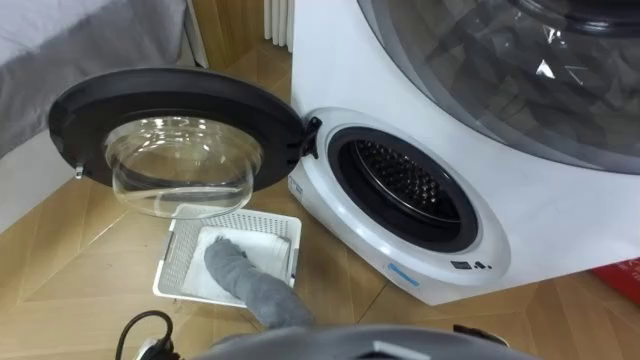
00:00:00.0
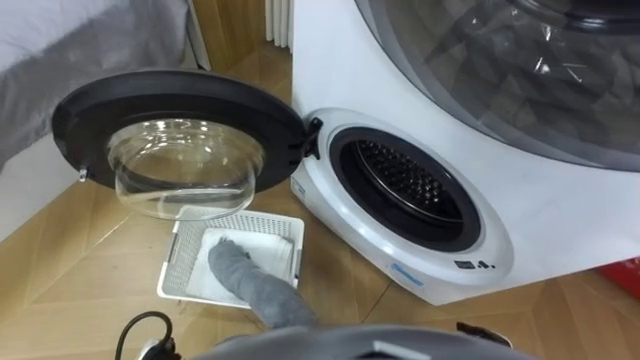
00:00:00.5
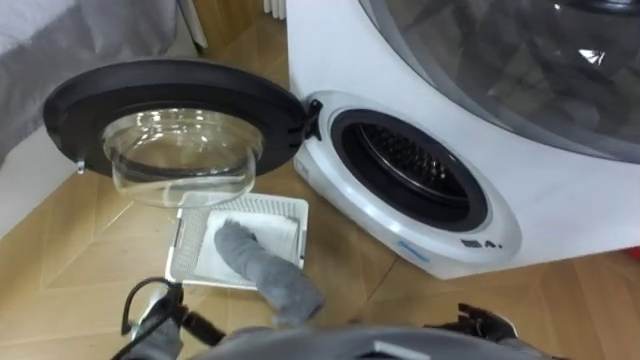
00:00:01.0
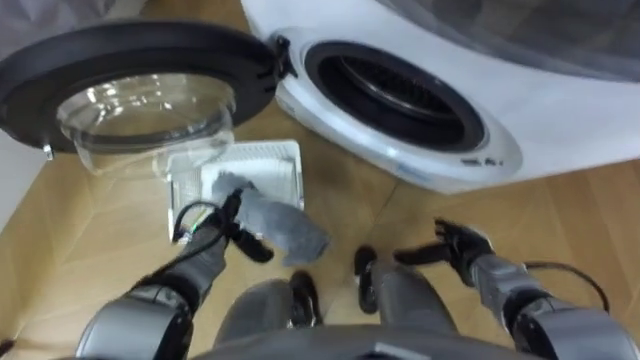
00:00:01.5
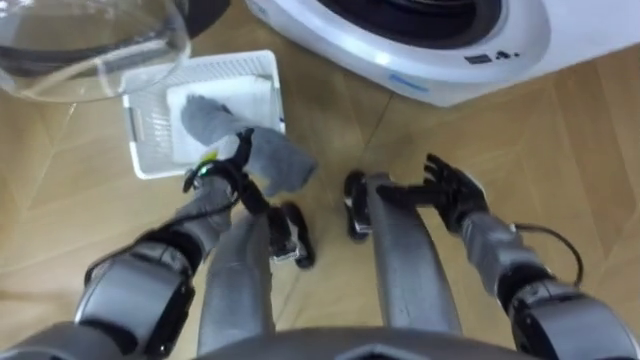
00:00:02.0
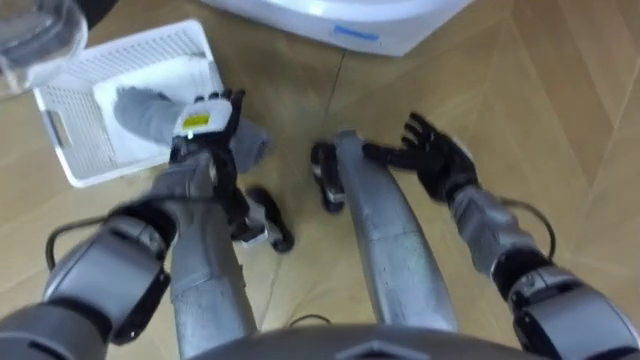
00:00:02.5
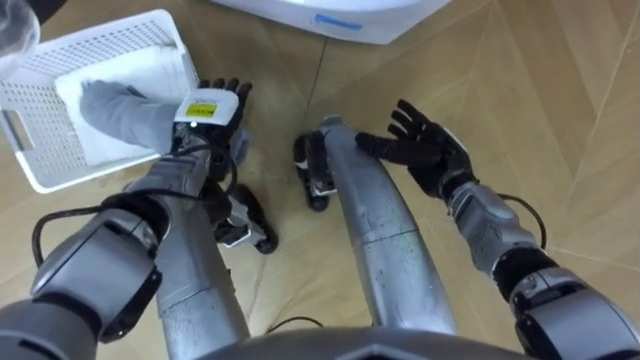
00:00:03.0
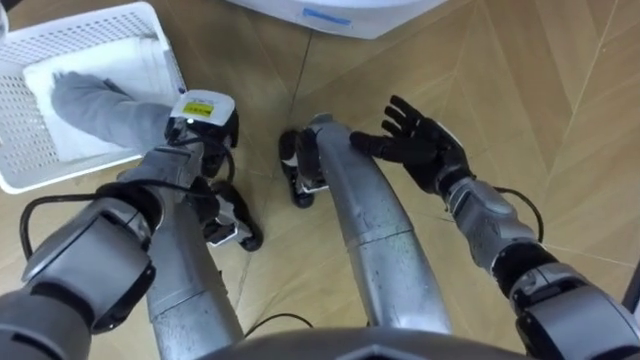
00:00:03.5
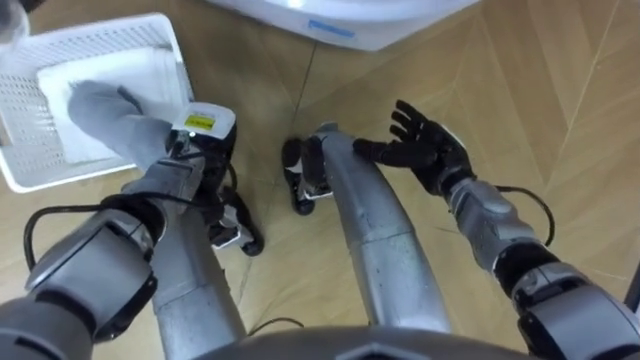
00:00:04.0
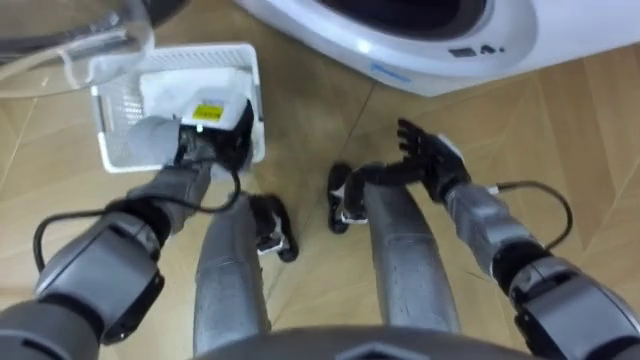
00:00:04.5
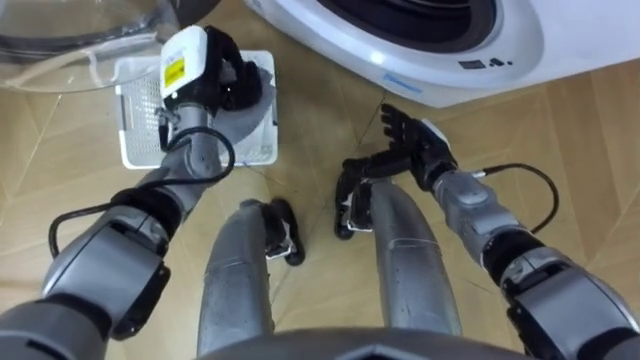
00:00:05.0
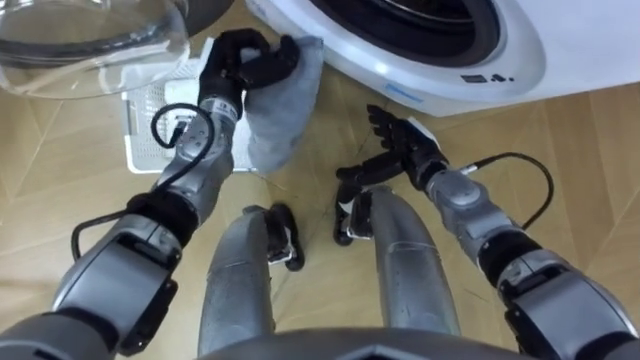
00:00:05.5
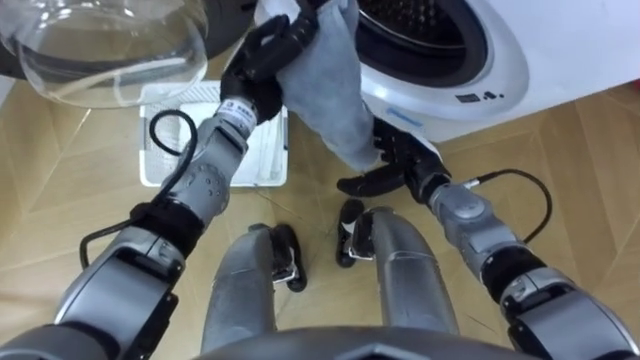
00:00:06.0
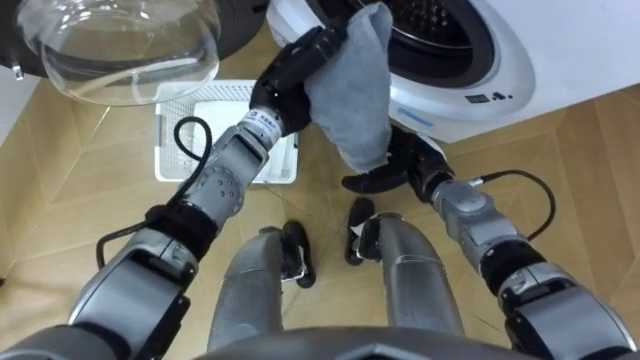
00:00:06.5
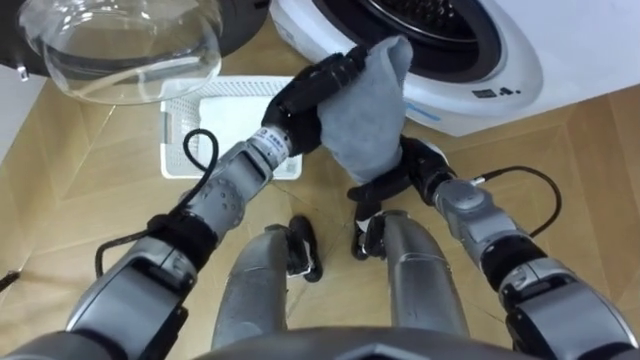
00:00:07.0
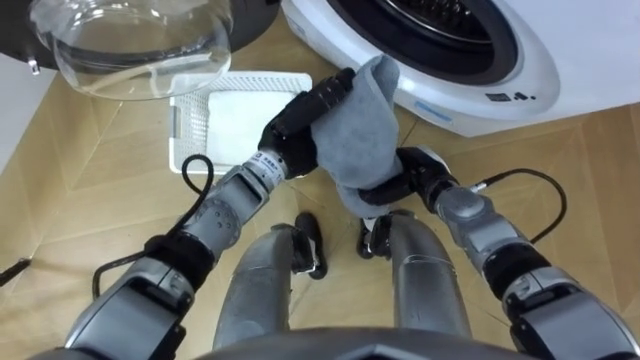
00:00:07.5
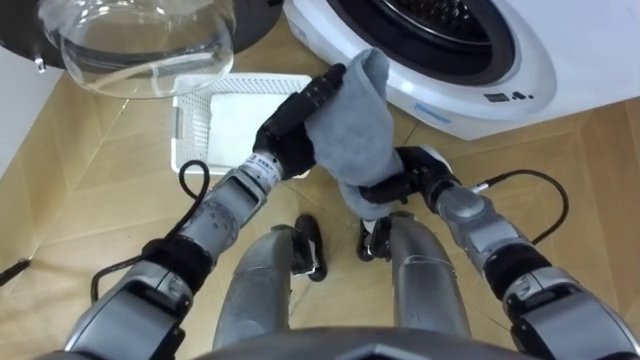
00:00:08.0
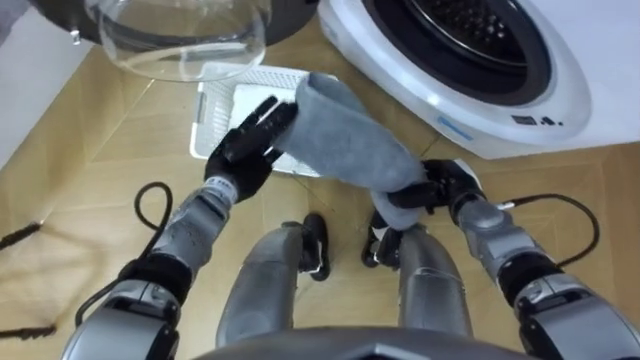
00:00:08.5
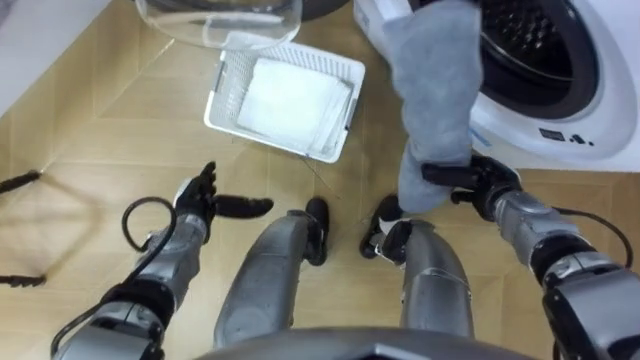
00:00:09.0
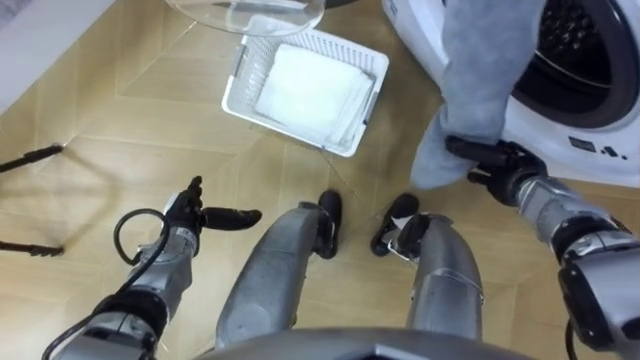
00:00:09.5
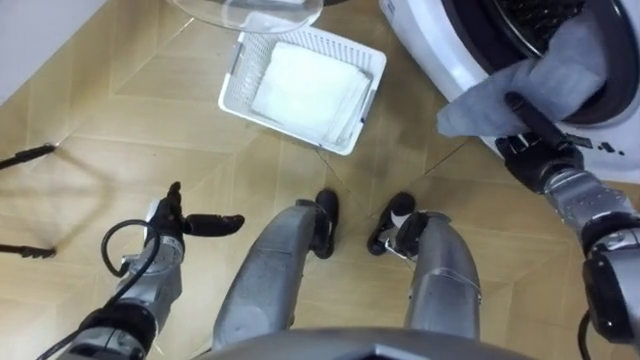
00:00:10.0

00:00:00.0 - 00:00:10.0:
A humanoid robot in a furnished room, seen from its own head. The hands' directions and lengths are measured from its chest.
Task of the whole recording: Take the towel from the basket and put it into the washing machine.
00:00:02.0 - 00:00:04.0: The left hand shifts by approximately 5 cm, and closes up. The right hand heads upward, covering roughly 5 cm.
00:00:04.0 - 00:00:06.0: The left hand heads upward and to the right, covering about 15 cm.
00:00:06.0 - 00:00:08.0: The right hand closes up, while the left hand shifts about 5 cm backward.
00:00:08.0 - 00:00:10.0: The right hand moves to the right, about 15 cm. Meanwhile the left hand travels to the left, downward and backward by approximately 25 cm, and opens up.

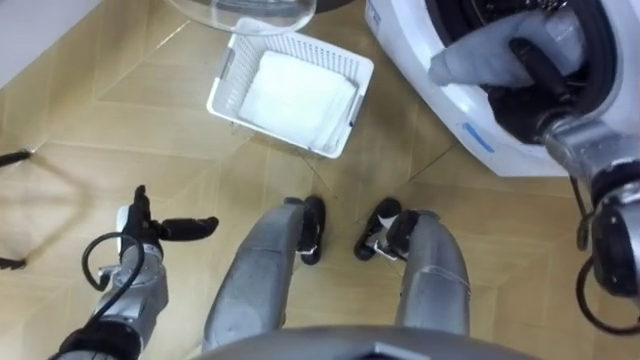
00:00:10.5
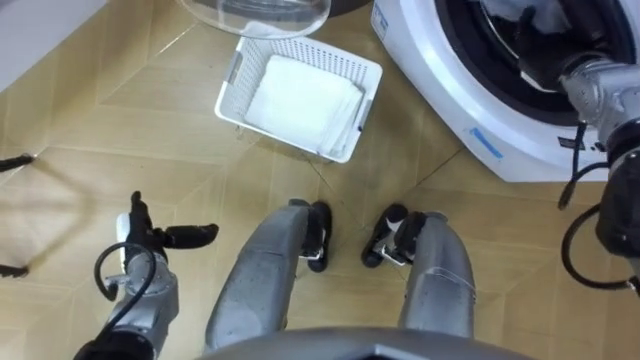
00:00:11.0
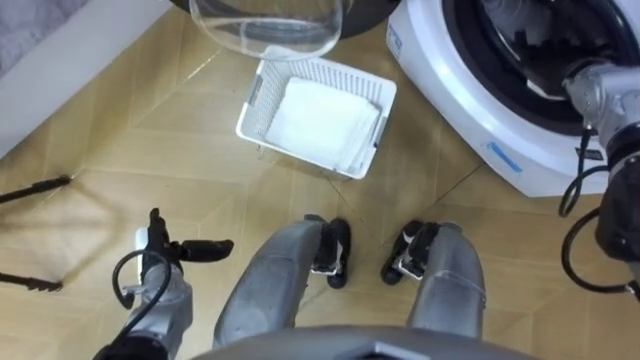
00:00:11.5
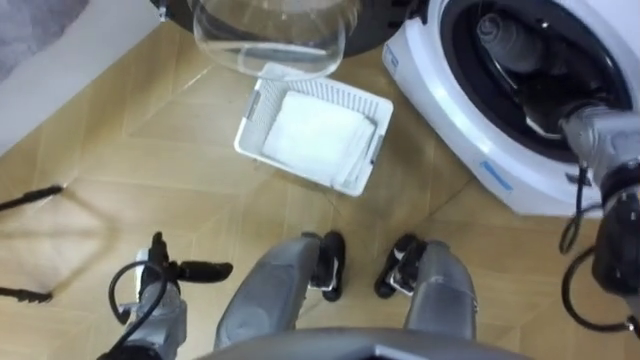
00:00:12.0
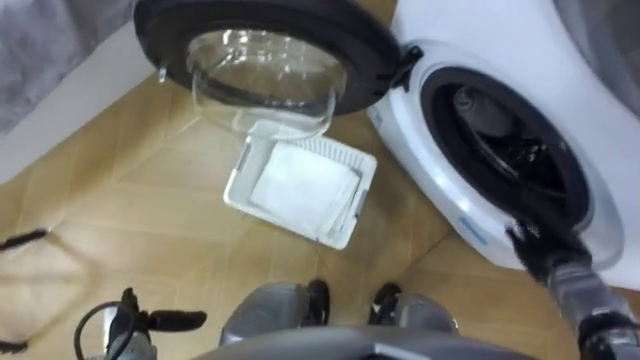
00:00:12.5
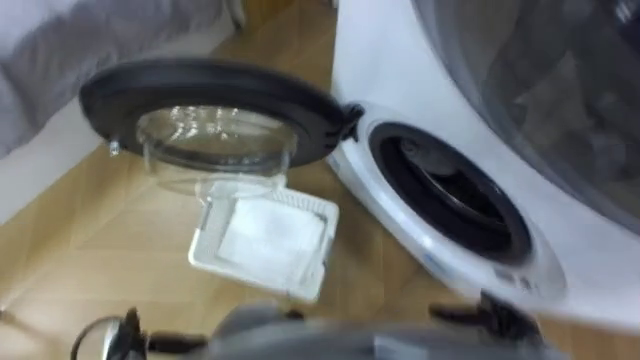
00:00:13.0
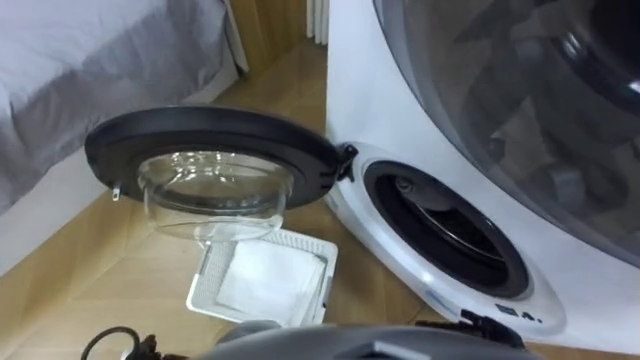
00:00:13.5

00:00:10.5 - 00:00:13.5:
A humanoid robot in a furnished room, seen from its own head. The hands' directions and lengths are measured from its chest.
Task of the whole recording: Take the towel from the basket and put it into the washing machine.
00:00:10.5 - 00:00:12.0: The right hand opens its fingers. Meanwhile the left hand shifts roughly 5 cm backward.
00:00:12.0 - 00:00:13.5: The right hand goes approximately 35 cm backward and downward.

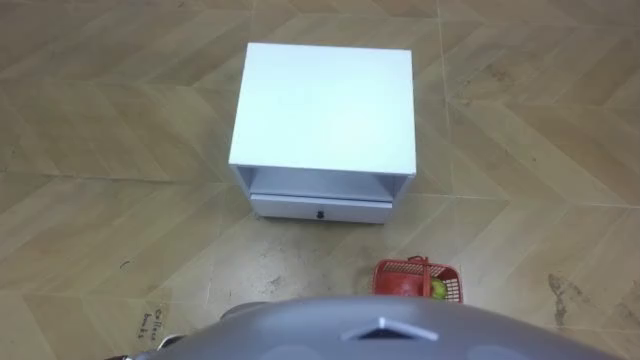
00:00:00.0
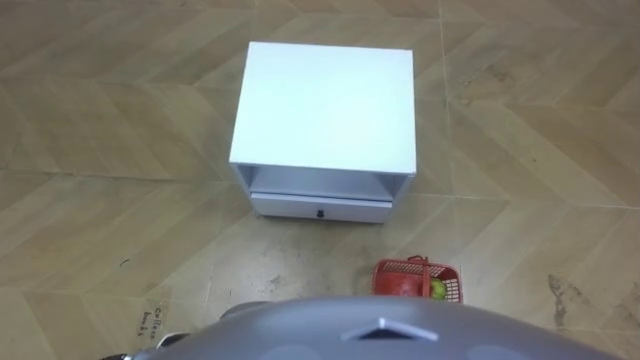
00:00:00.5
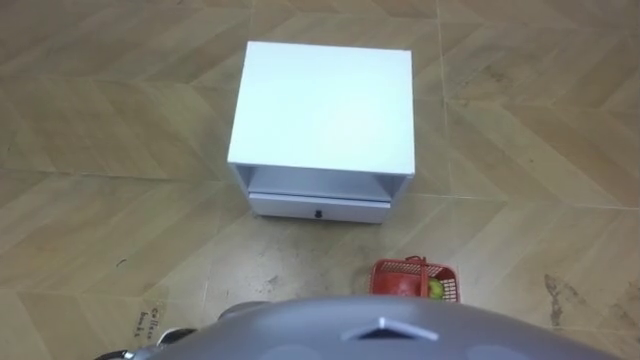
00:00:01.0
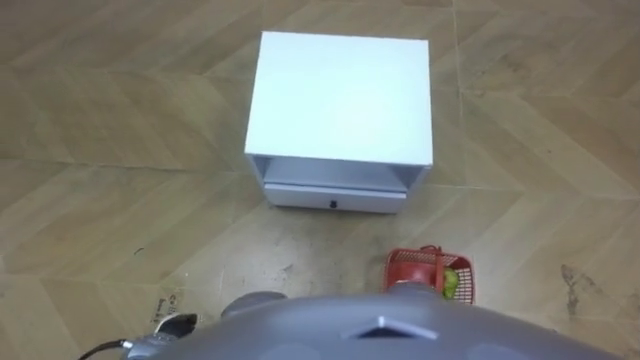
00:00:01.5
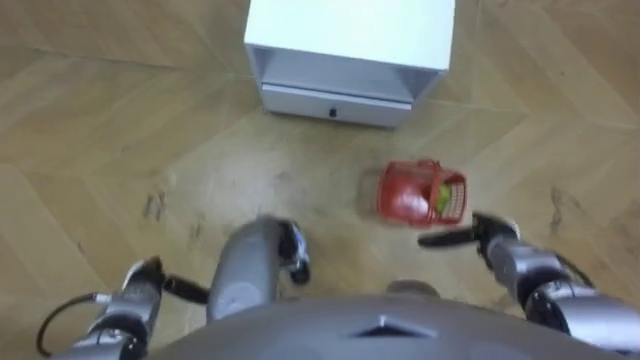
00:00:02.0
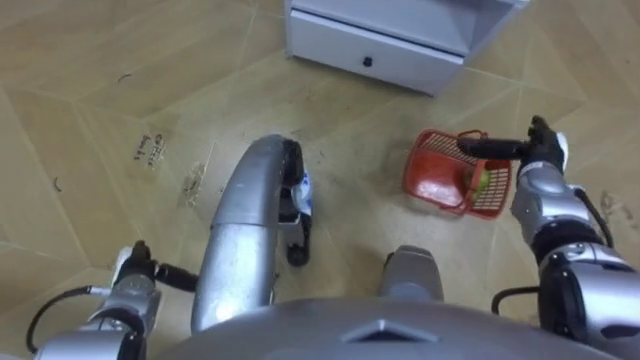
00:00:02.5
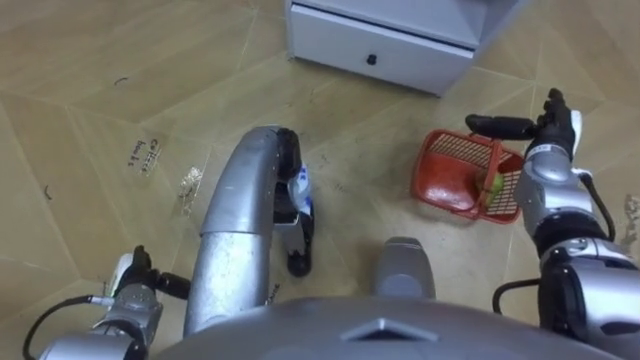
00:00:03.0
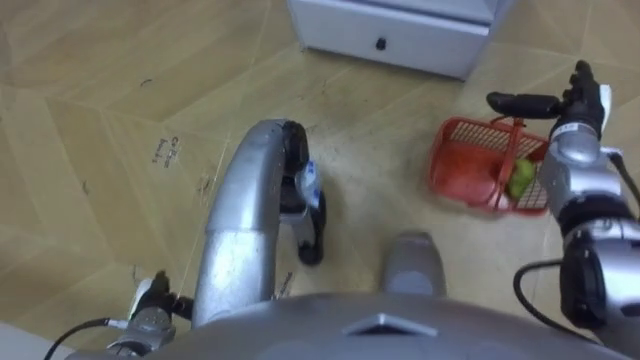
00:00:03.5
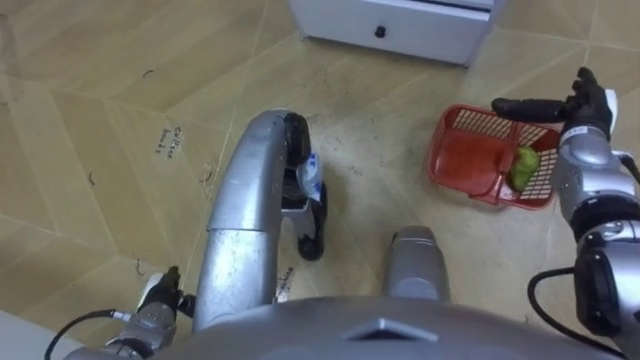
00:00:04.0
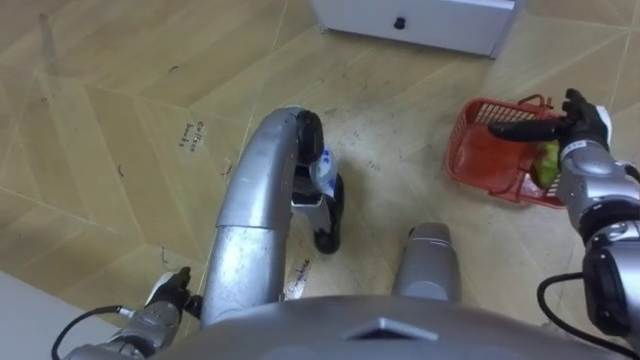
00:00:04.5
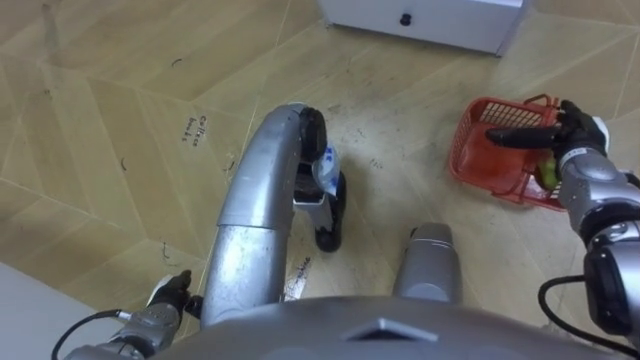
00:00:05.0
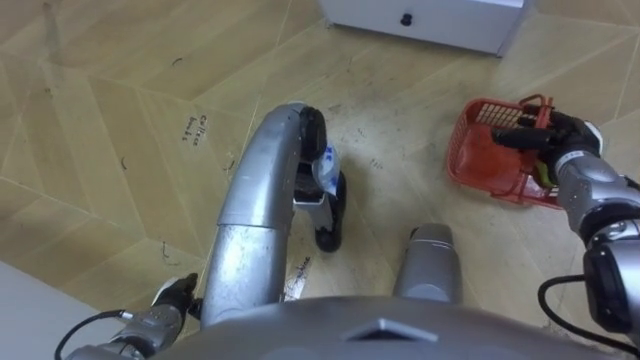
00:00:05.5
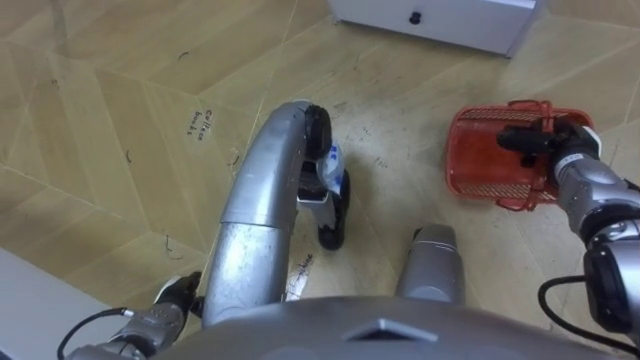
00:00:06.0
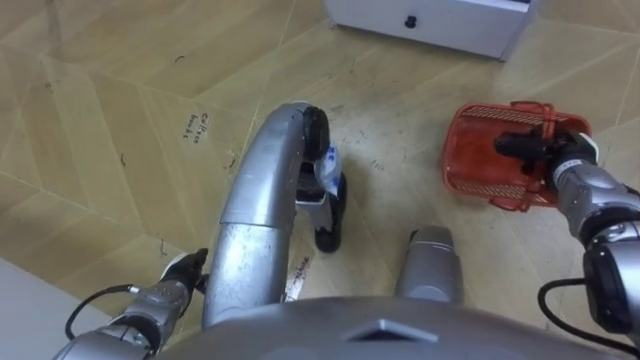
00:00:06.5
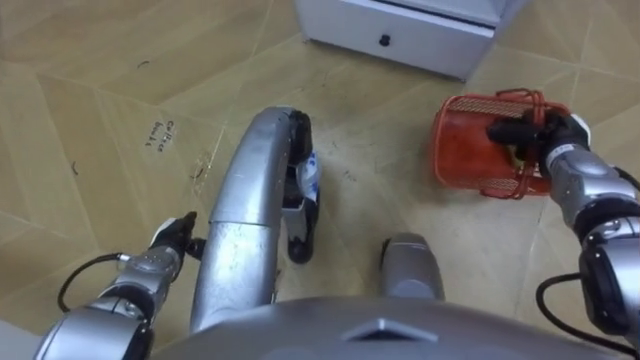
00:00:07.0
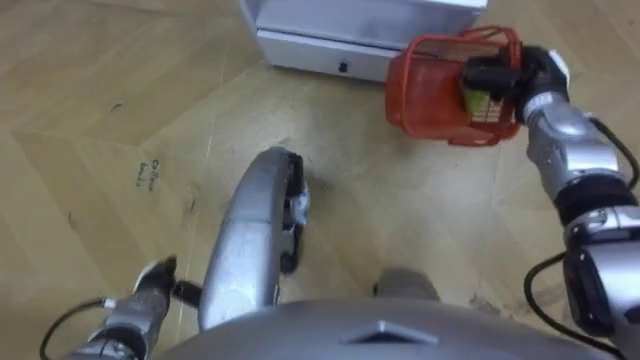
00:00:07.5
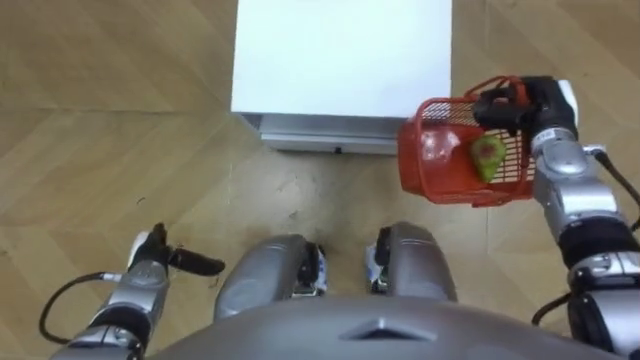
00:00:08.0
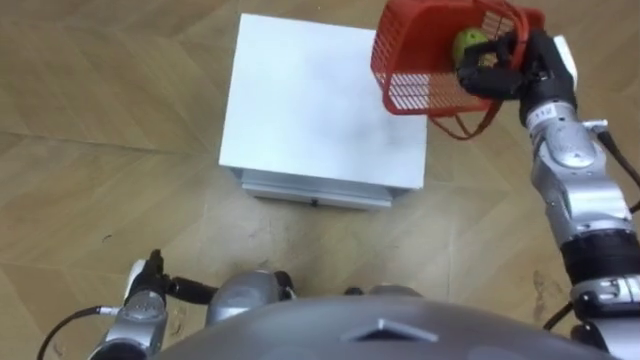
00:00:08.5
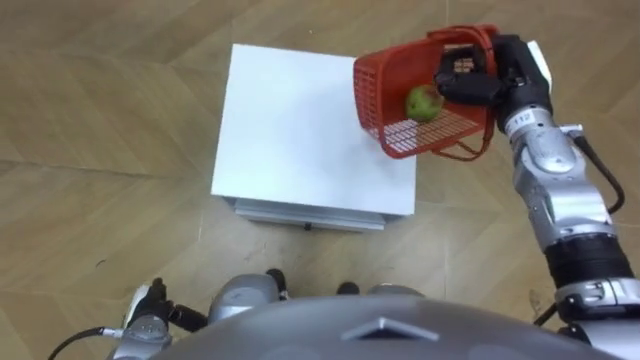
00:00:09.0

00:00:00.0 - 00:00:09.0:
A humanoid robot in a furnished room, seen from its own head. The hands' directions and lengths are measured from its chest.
Task of the whole recording: Pick up the fruit basket from the floor and place it on the cabinet.
00:00:02.0 - 00:00:04.5: The right hand travels forward, upward and to the right by approximately 20 cm.
00:00:04.5 - 00:00:07.0: The right hand closes up. The left hand heads forward, covering about 10 cm.
00:00:07.0 - 00:00:09.0: The left hand is displaced backward by about 10 cm. Meanwhile the right hand shifts roughly 15 cm upward and to the left.
